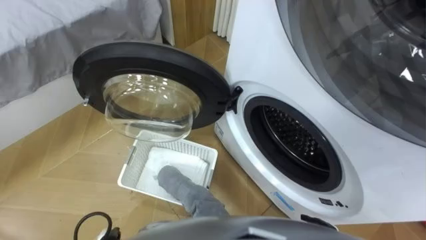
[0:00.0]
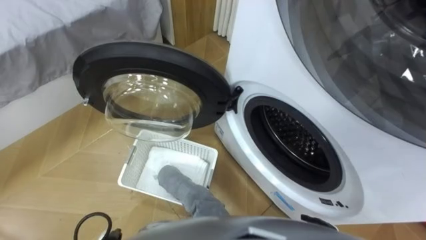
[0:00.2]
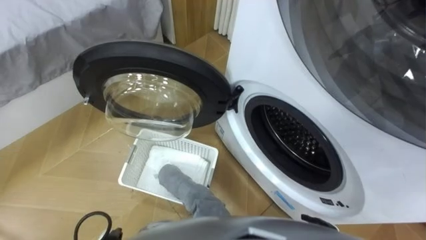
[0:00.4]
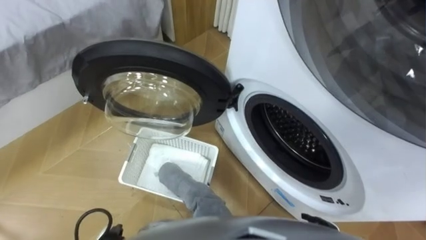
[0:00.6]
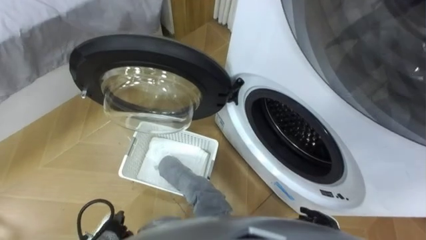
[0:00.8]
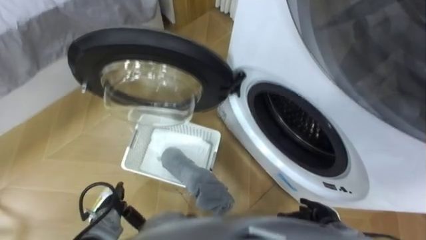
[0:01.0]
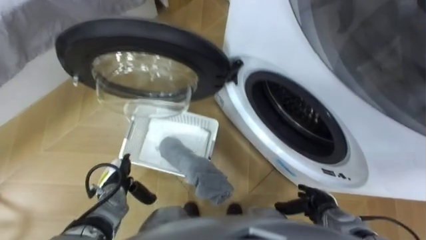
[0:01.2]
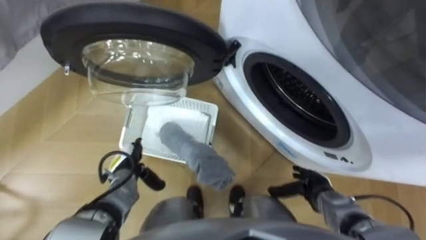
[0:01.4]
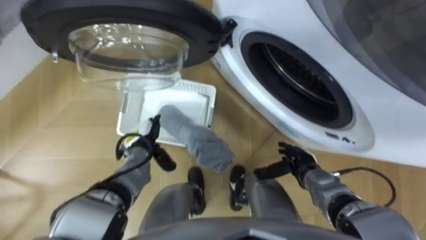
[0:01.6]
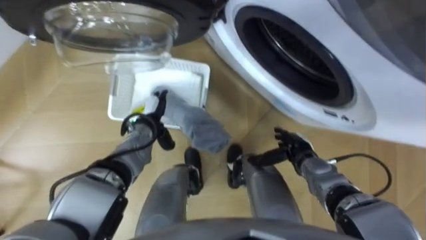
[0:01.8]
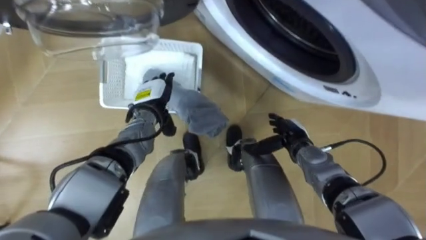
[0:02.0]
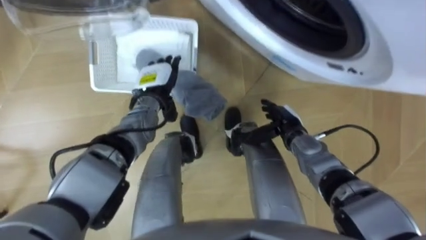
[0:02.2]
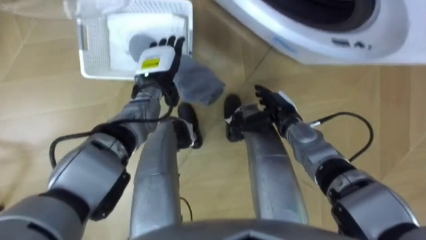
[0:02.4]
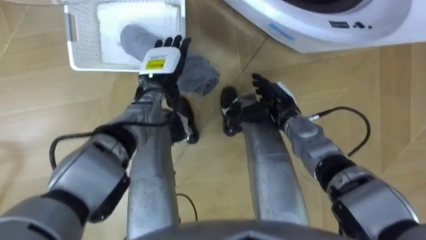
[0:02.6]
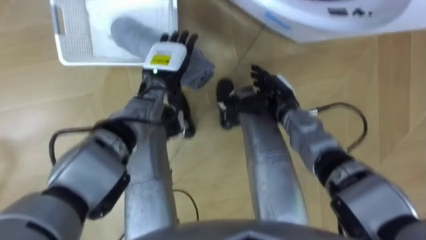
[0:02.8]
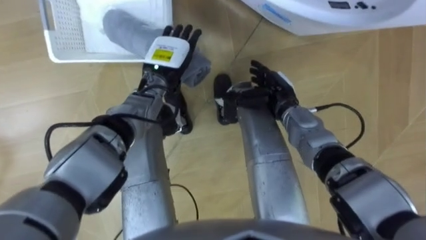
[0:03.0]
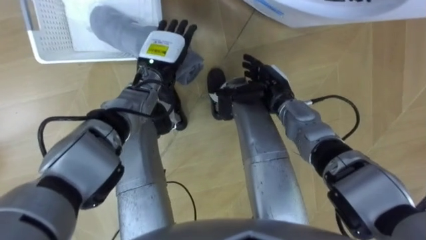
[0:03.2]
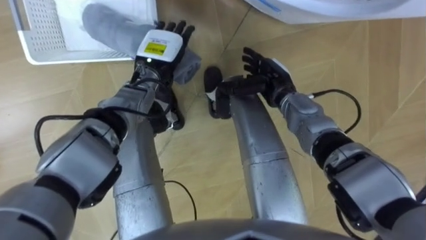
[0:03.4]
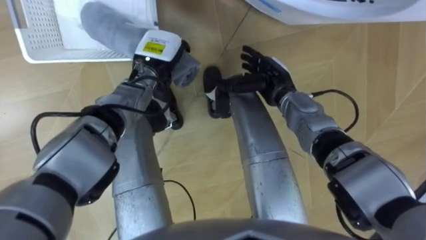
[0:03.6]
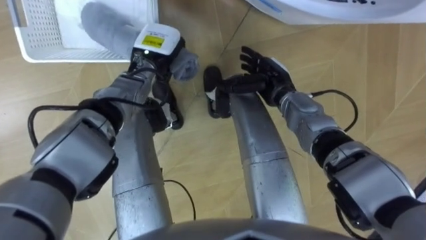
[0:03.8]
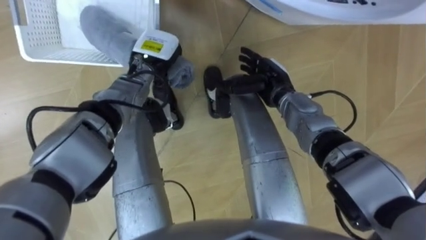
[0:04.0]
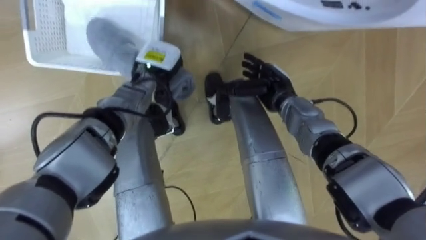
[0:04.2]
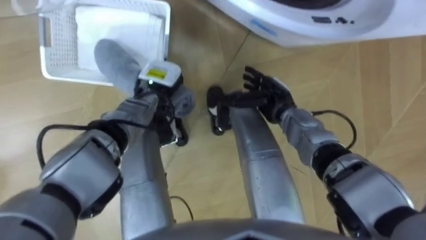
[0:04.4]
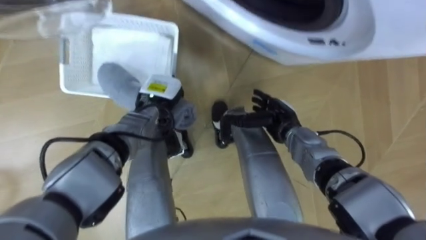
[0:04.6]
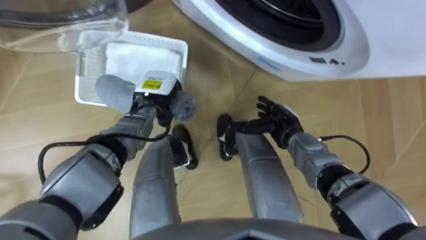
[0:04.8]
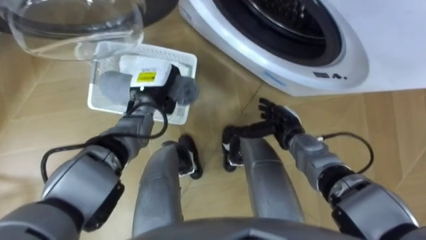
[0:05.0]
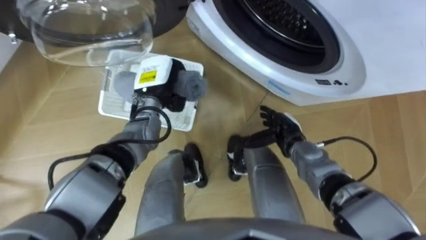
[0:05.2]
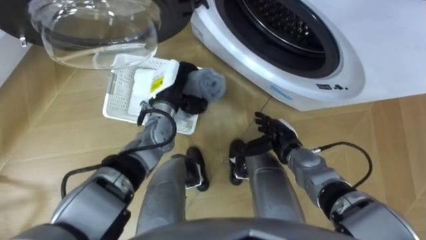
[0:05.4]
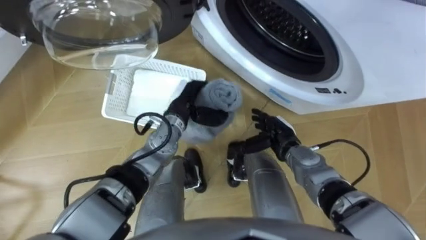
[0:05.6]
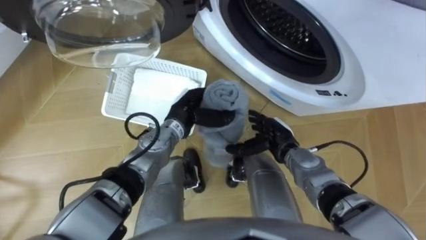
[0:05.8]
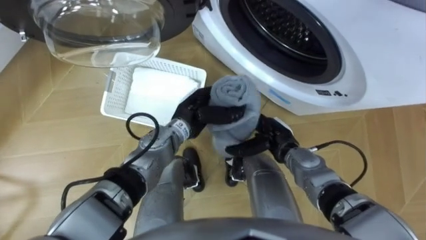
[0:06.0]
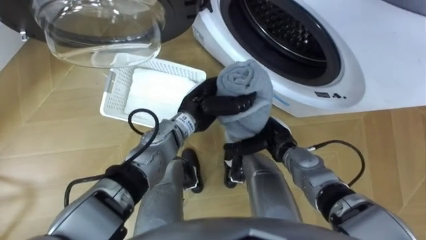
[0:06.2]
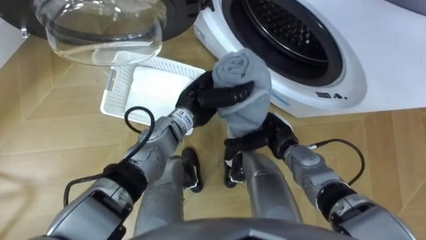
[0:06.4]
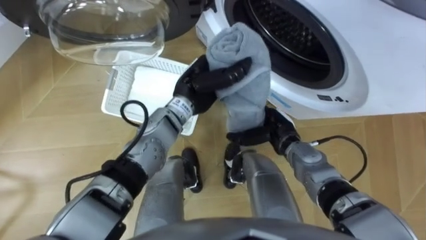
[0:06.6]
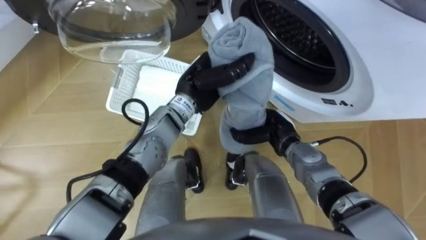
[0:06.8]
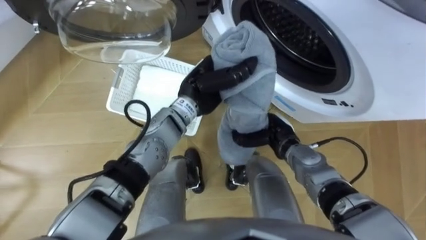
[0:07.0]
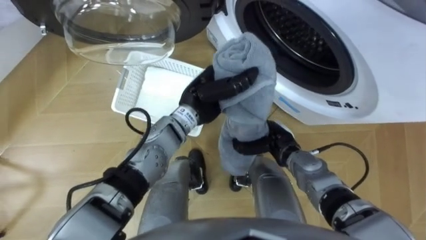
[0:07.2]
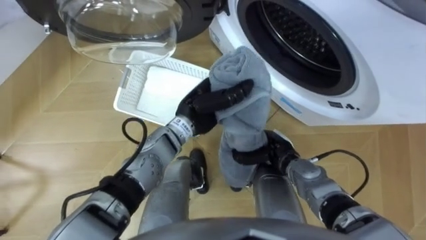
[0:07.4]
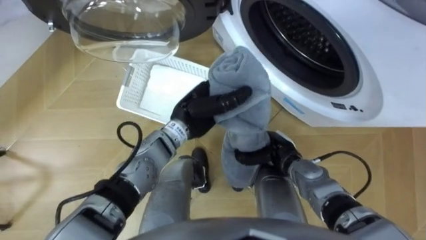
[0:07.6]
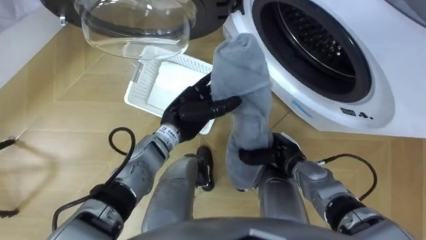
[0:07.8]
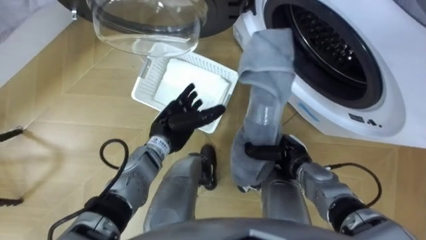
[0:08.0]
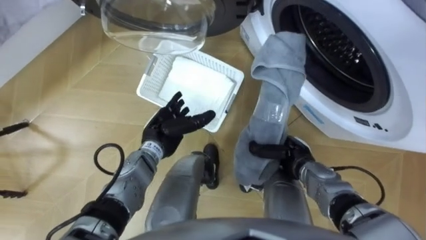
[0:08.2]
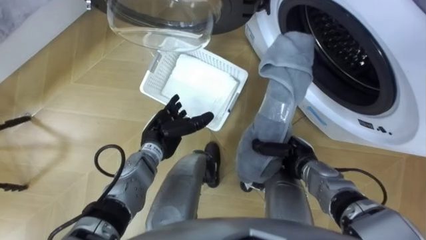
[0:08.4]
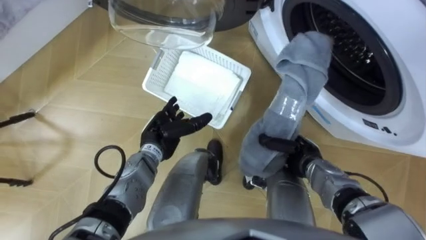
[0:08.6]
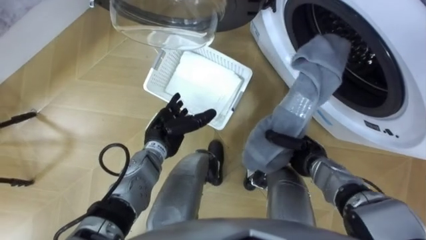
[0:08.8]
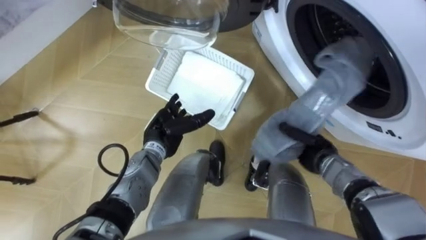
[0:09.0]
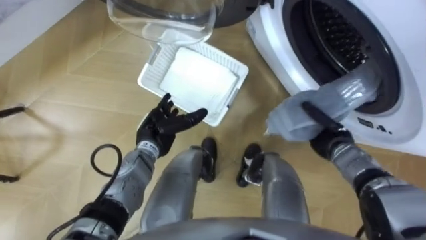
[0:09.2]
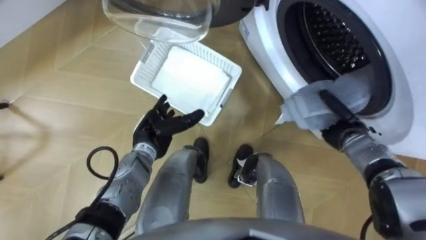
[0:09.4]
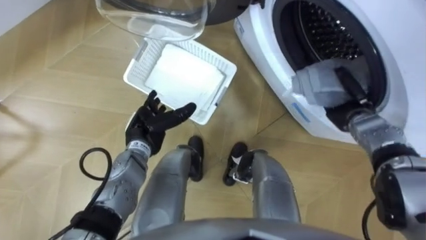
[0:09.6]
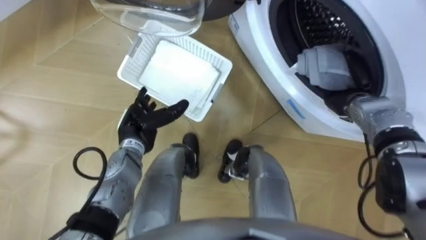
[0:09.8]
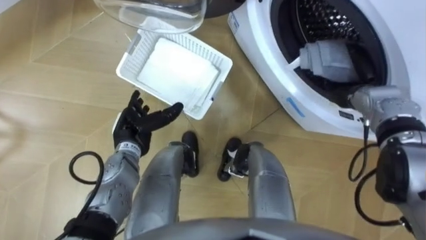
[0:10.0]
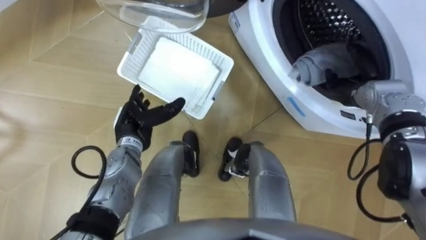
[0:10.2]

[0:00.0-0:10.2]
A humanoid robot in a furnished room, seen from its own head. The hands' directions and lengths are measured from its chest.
Task of the whole recording: Take the towel from the basket and put it into the washing machine.
0:01.4 to 0:03.0: The left hand travels forward, upward and to the right by roughly 25 cm, while the right hand goes some 25 cm forward, upward and to the left.
0:03.0 to 0:04.4: The left hand moves some 5 cm, and closes its fingers.
0:04.4 to 0:05.8: The left hand travels to the right and backward by about 10 cm. Meanwhile the right hand goes roughly 5 cm backward.
0:05.8 to 0:07.2: The right hand closes its fingers. Meanwhile the left hand shifts roughly 5 cm upward.
0:07.2 to 0:08.8: The left hand is displaced to the left and downward by roughly 15 cm, and opens. Meanwhile the right hand shifts approximately 5 cm to the right.
0:08.8 to 0:10.2: The right hand goes roughly 20 cm forward, upward and to the right, and opens up. Meanwhile the left hand shifts roughly 5 cm to the left.

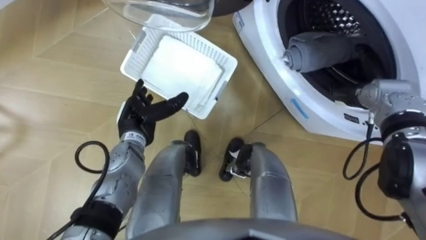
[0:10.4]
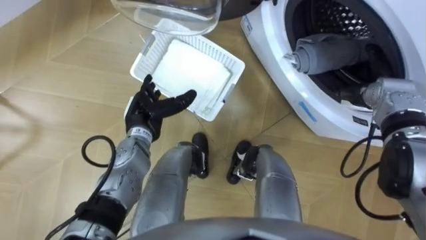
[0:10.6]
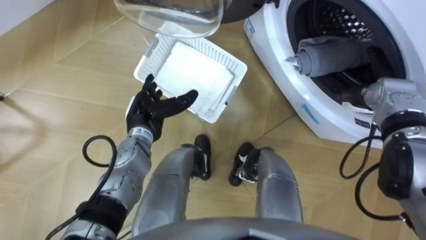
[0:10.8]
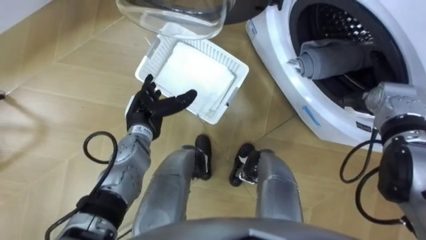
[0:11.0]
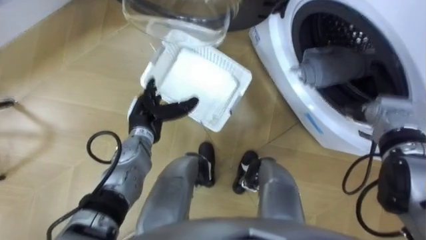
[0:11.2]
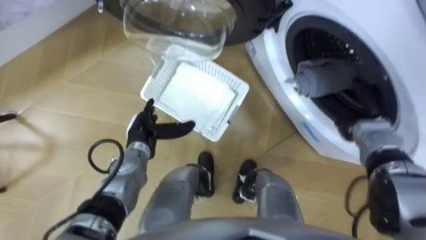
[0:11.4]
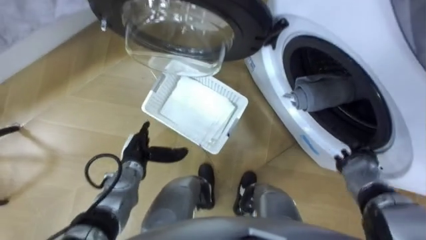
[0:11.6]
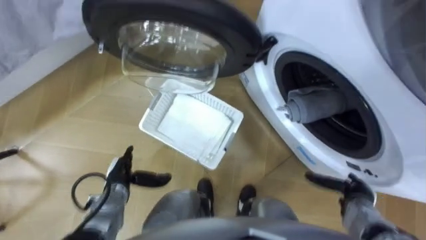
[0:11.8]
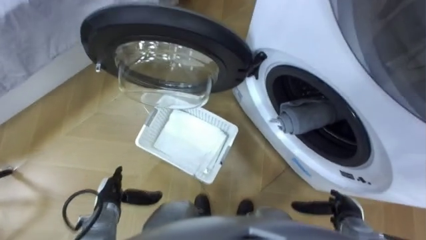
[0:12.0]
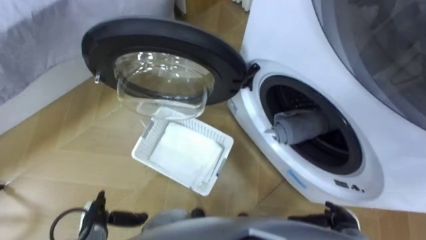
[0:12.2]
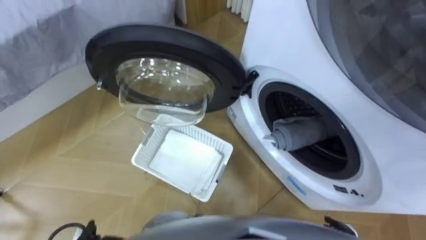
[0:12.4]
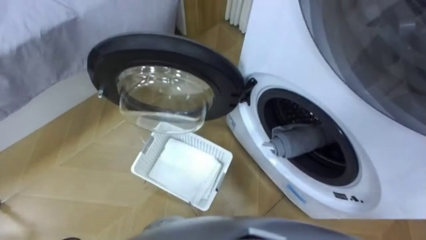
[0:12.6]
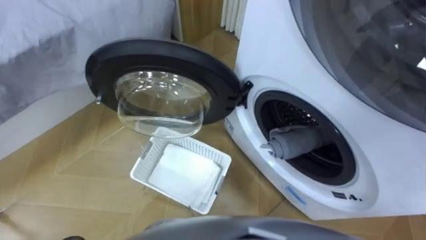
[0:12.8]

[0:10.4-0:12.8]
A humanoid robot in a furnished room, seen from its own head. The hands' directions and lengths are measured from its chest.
Task of the whole recording: Take the towel from the basket and put it into the washing machine.
0:10.4 to 0:11.6: The right hand shifts approximately 15 cm backward and downward; the left hand is displaced downward and backward by some 10 cm.

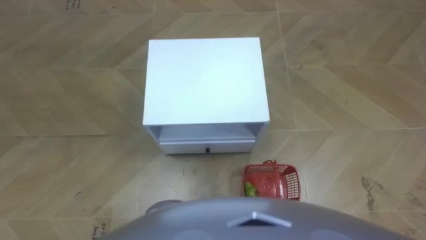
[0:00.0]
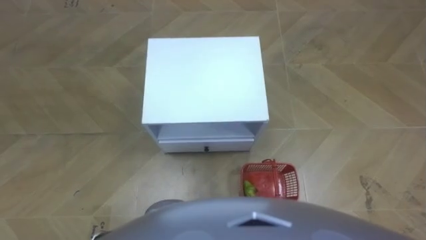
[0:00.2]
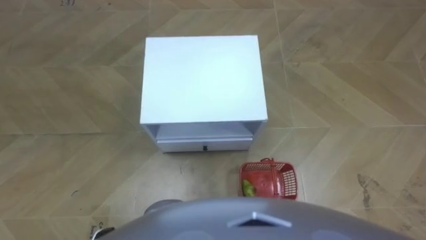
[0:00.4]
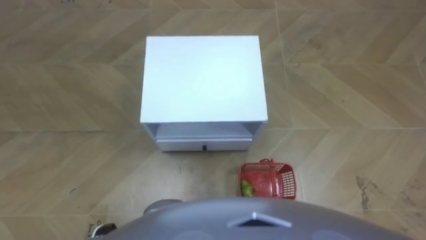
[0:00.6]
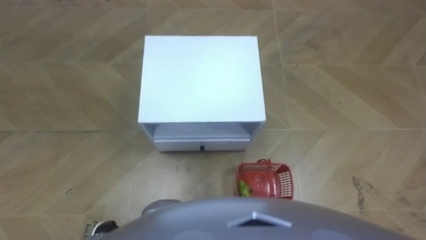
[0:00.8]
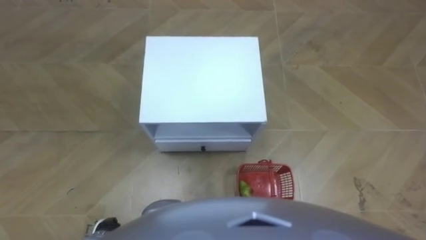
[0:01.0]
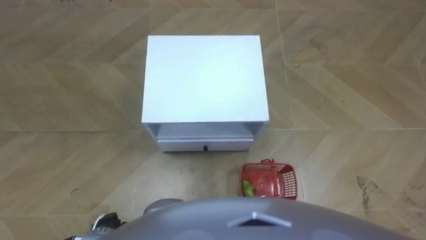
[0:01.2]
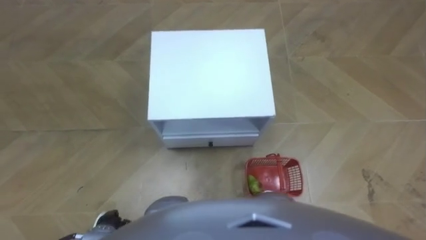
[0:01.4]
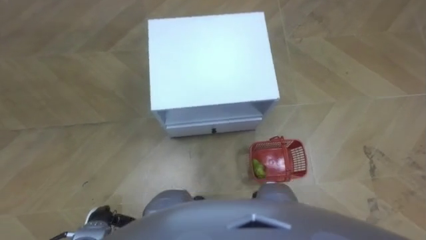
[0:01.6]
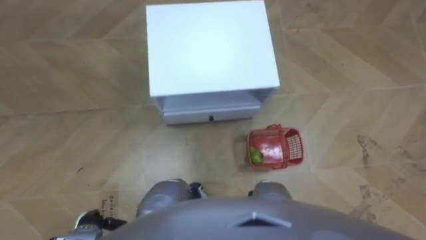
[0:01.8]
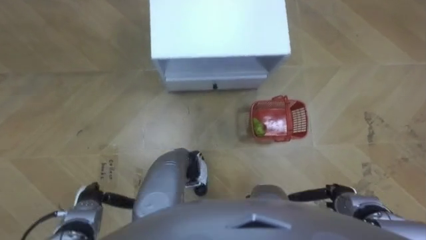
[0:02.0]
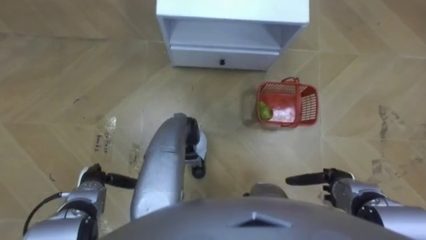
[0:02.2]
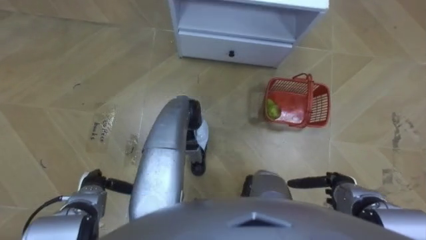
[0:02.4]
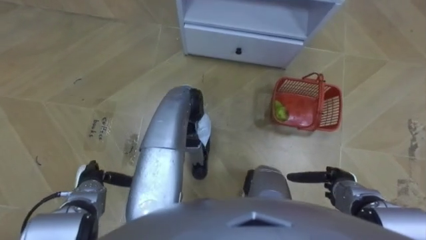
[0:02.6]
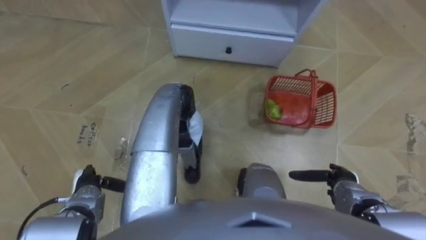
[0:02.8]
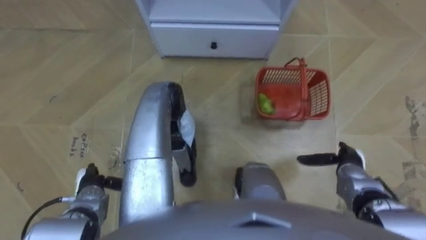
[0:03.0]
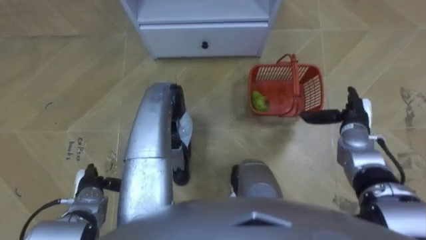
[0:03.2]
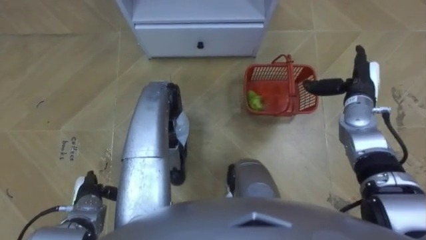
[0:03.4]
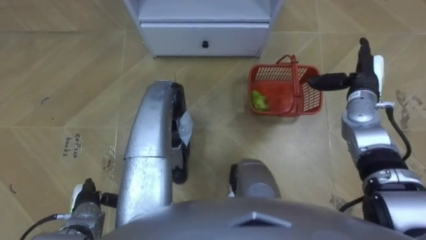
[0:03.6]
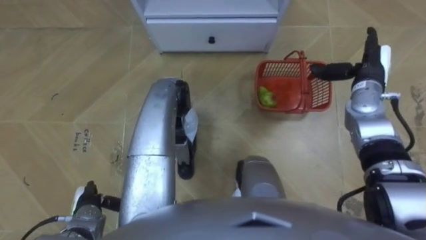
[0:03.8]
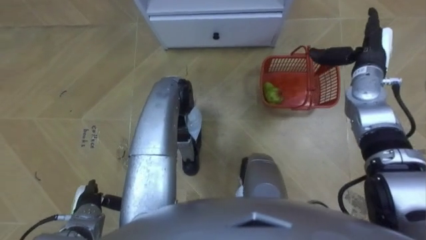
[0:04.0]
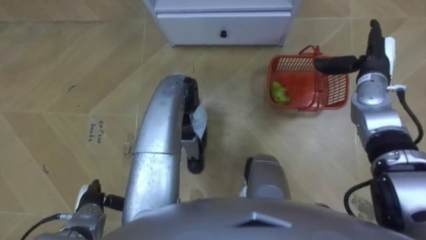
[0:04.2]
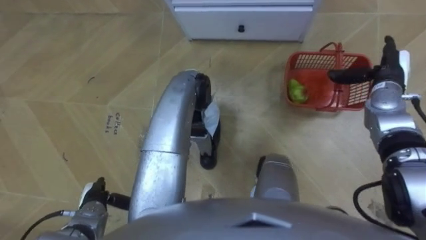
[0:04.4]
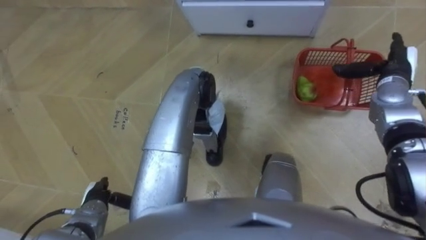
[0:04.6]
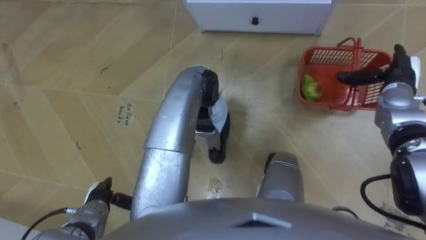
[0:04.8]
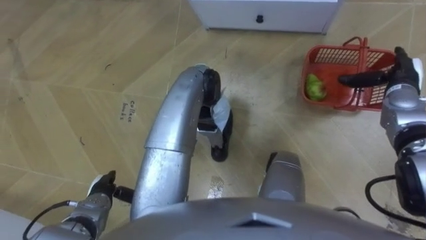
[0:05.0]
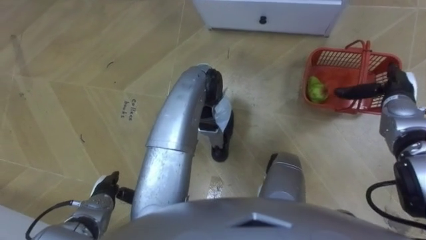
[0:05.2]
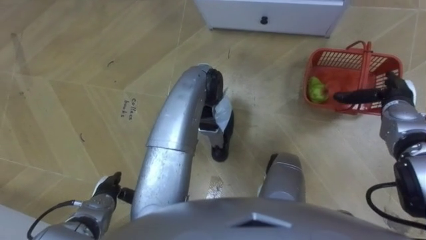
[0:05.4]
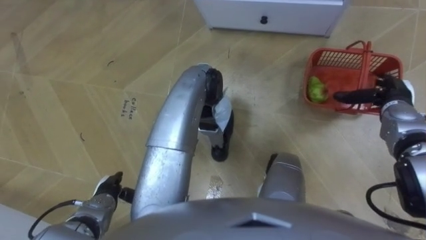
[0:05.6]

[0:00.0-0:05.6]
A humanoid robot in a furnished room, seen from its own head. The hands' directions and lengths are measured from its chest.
Task of the whole recording: Pick up the fruit basket from the floor and place it on the cabinet.
0:01.4 to 0:02.8: The left hand shifts about 10 cm forward.
0:02.8 to 0:04.2: The right hand moves forward and upward, about 30 cm.
0:04.2 to 0:05.6: The right hand heads to the right, backward and downward, covering some 10 cm.
